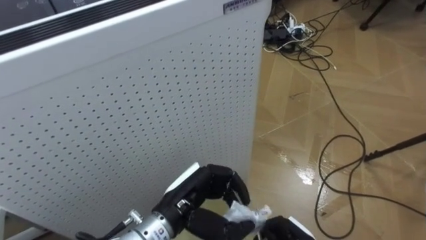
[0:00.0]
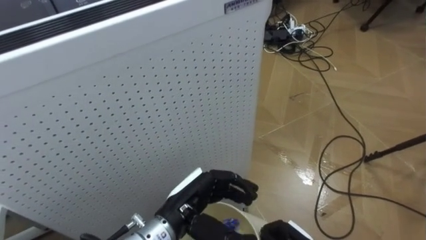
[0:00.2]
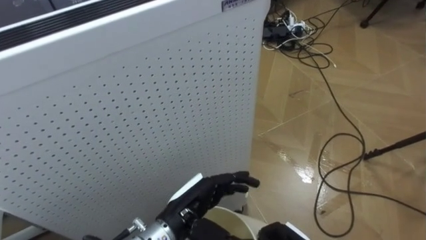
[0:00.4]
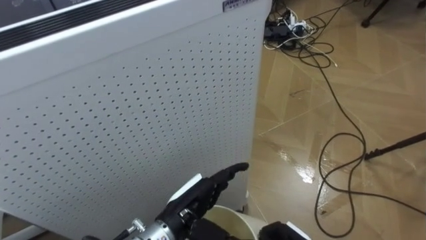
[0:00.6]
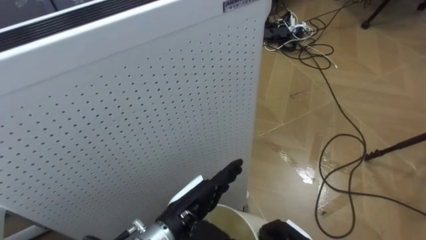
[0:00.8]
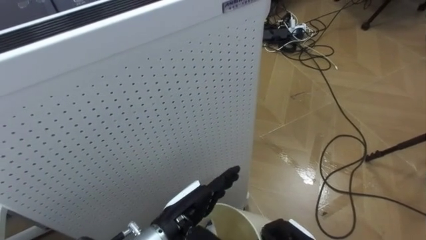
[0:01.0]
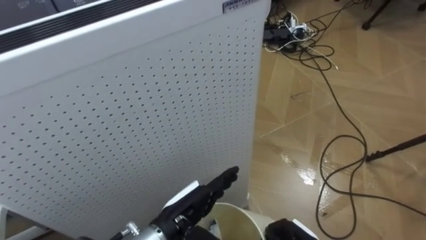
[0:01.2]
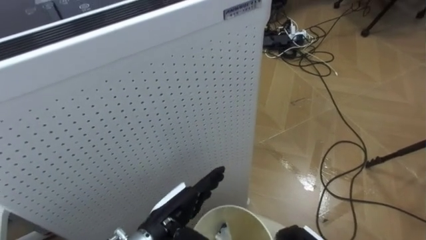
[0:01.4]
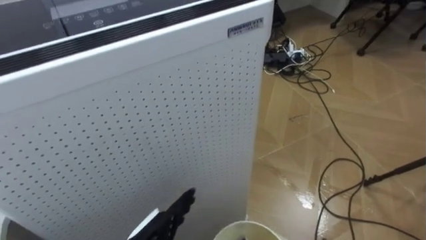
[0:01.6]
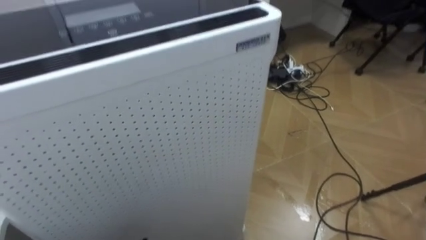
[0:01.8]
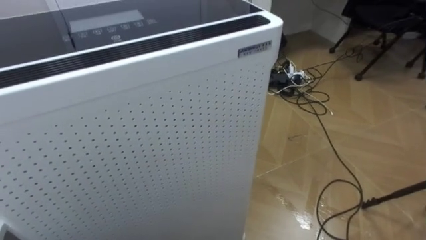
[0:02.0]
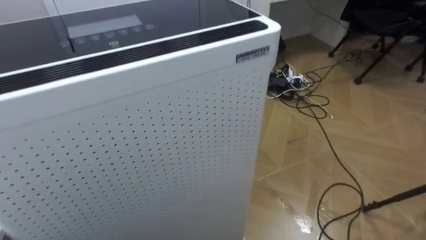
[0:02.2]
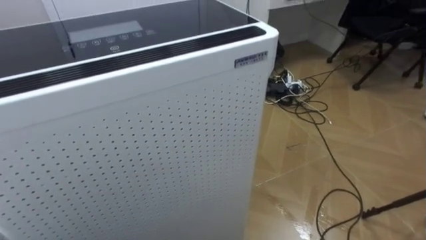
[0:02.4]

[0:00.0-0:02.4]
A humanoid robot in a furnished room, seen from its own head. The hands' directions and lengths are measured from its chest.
Task of the whole recording: Pick up the light blue package, the candy box, and the dark blue package separately, and put them into the trash can held in your right hand.
0:00.0 to 0:01.2: The left hand opens.

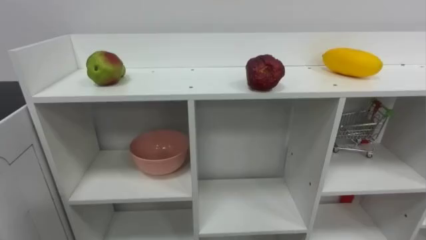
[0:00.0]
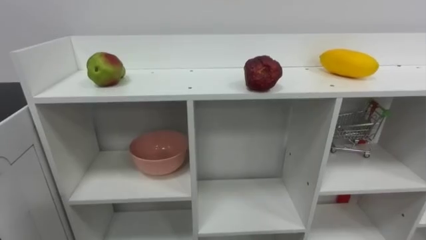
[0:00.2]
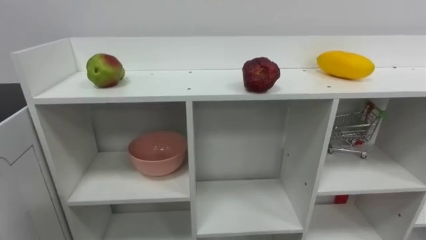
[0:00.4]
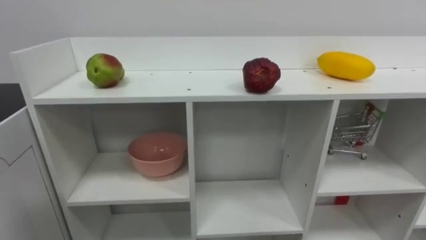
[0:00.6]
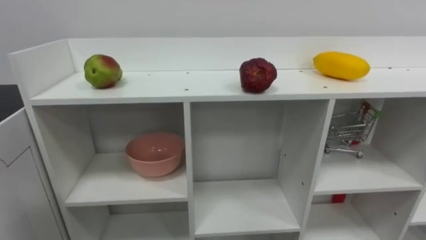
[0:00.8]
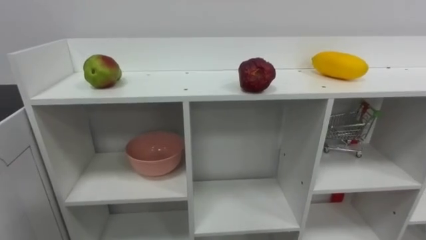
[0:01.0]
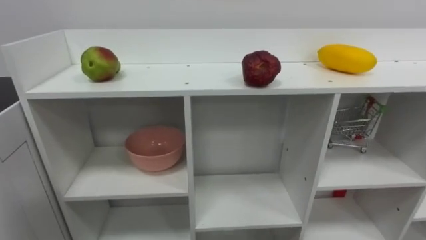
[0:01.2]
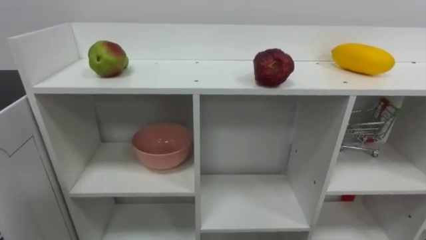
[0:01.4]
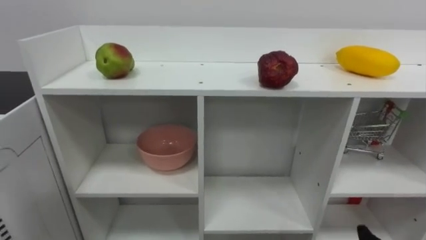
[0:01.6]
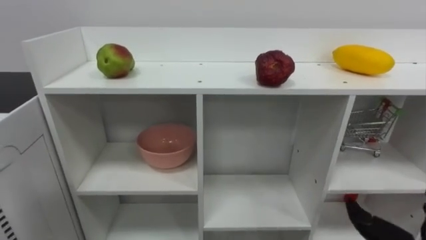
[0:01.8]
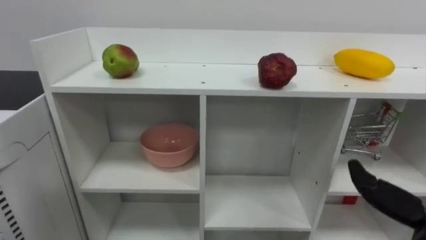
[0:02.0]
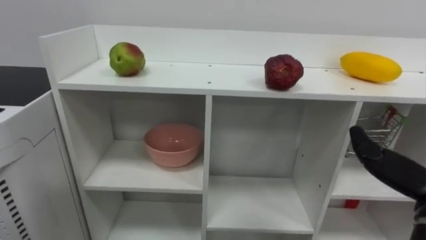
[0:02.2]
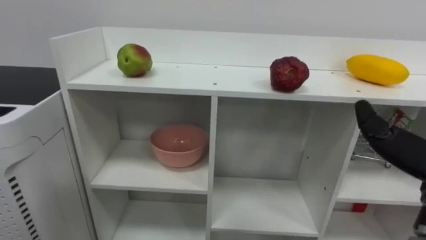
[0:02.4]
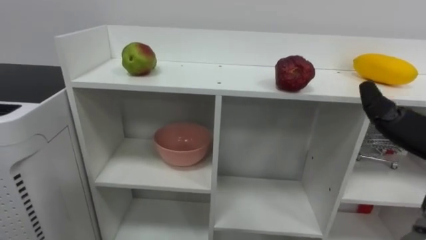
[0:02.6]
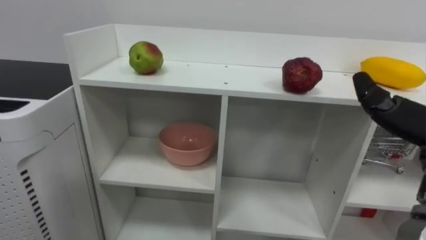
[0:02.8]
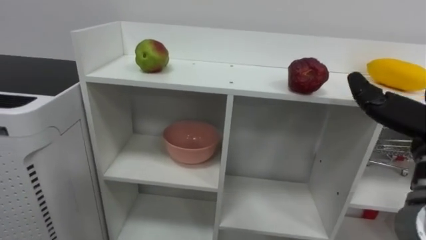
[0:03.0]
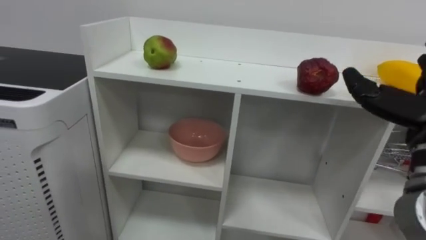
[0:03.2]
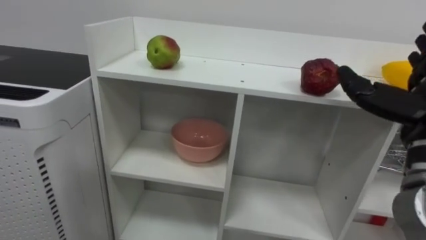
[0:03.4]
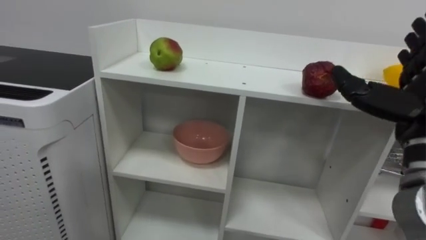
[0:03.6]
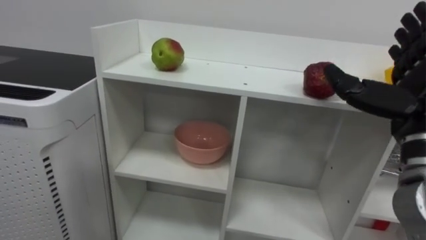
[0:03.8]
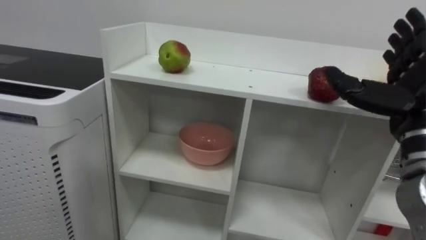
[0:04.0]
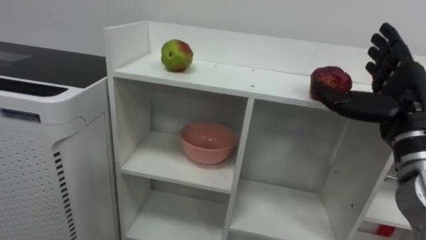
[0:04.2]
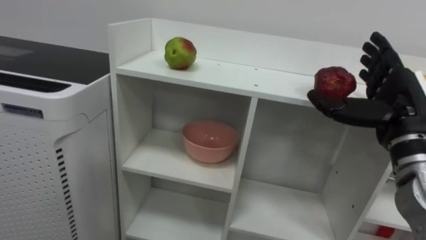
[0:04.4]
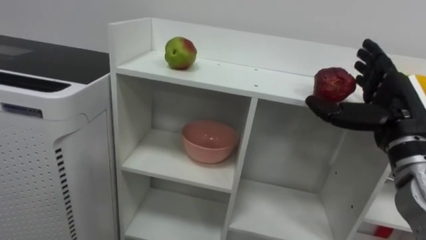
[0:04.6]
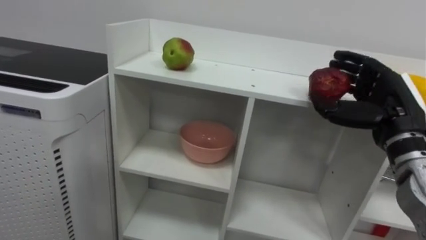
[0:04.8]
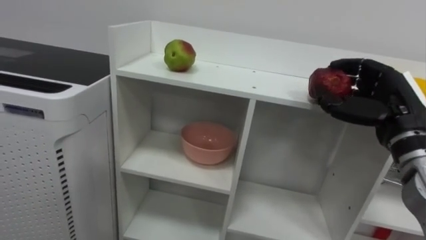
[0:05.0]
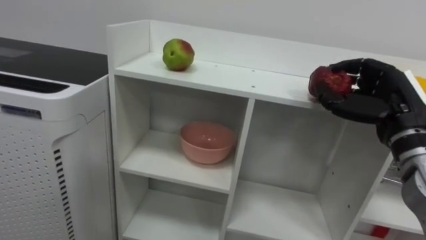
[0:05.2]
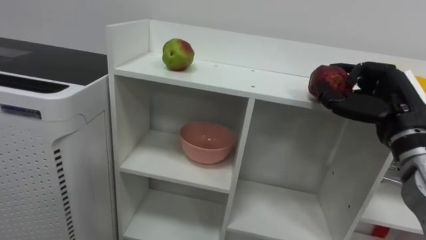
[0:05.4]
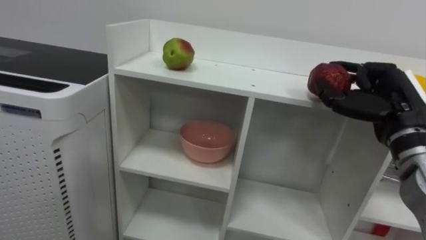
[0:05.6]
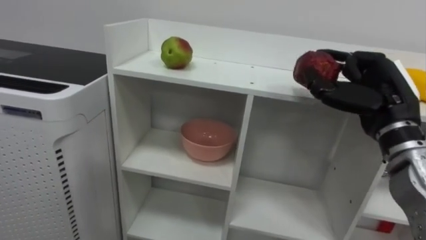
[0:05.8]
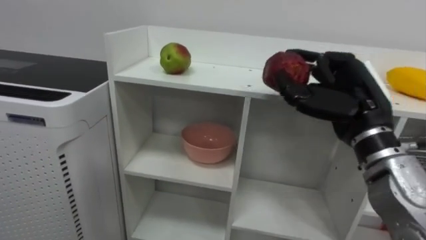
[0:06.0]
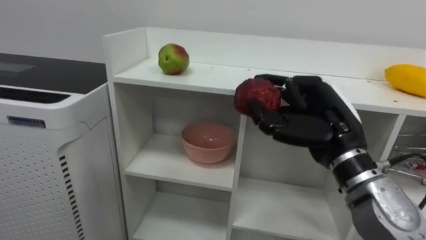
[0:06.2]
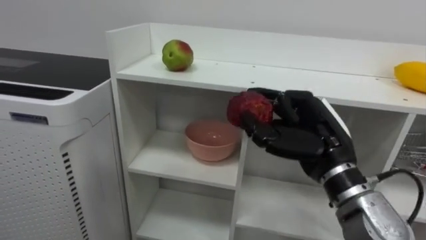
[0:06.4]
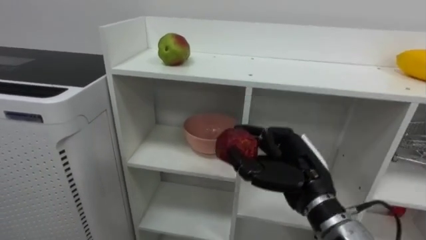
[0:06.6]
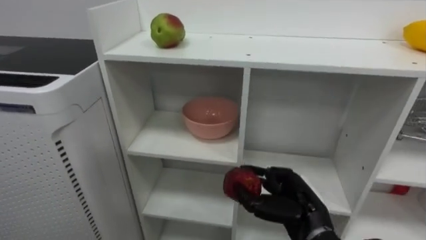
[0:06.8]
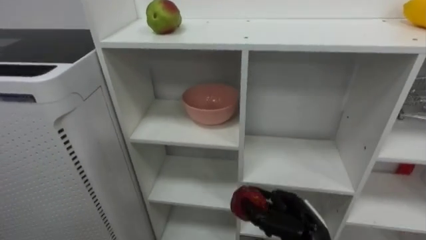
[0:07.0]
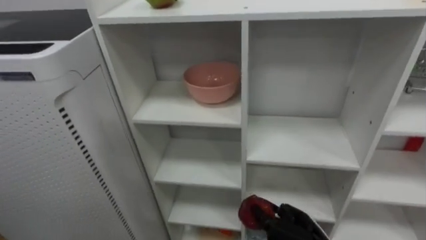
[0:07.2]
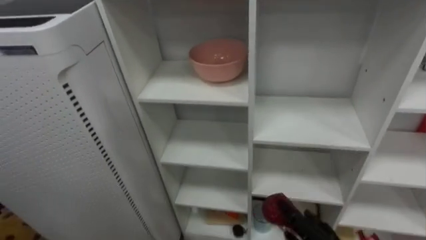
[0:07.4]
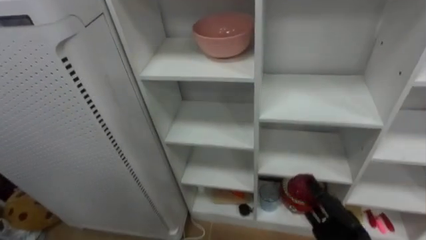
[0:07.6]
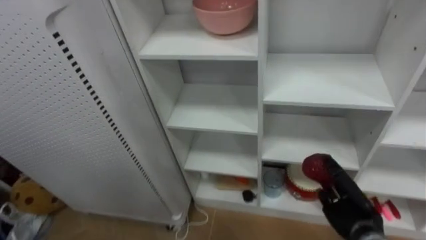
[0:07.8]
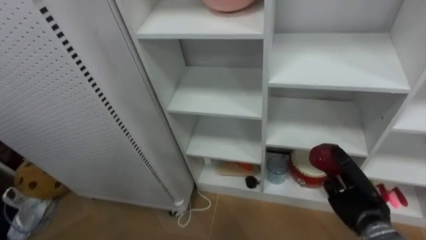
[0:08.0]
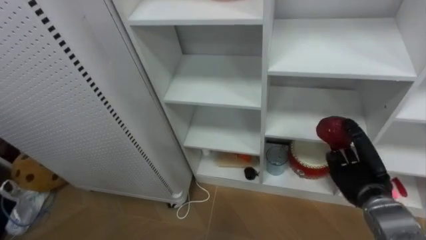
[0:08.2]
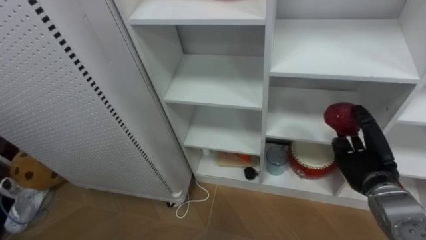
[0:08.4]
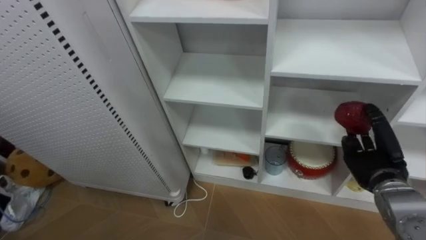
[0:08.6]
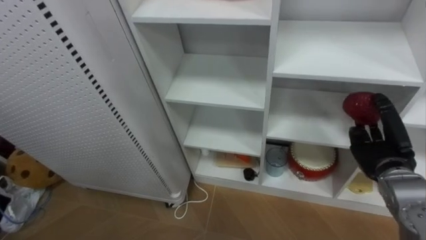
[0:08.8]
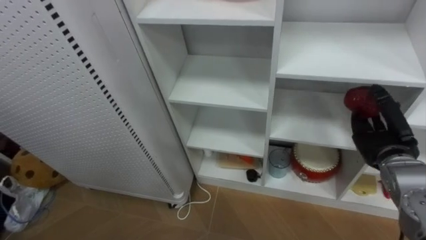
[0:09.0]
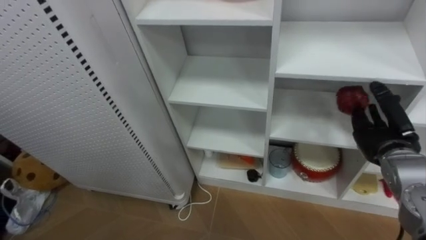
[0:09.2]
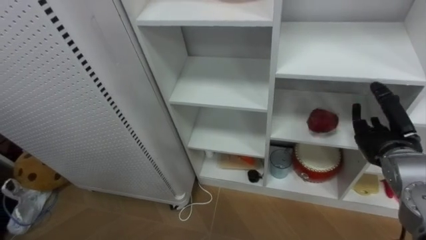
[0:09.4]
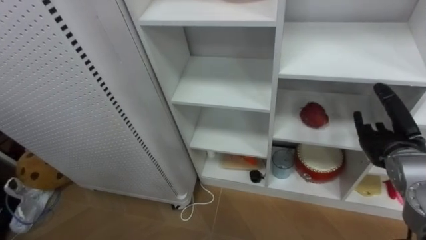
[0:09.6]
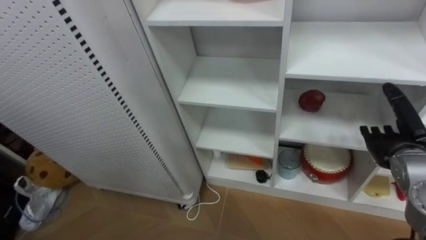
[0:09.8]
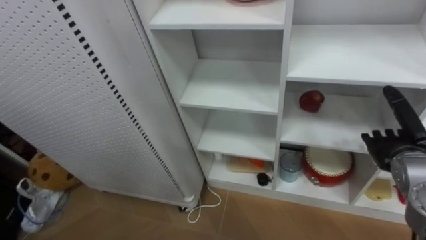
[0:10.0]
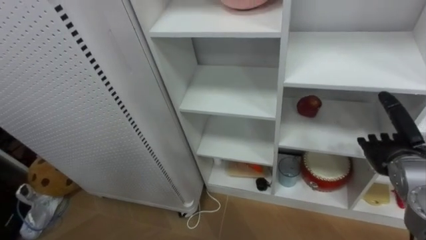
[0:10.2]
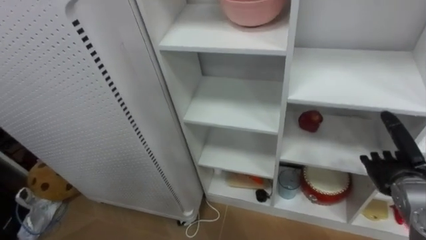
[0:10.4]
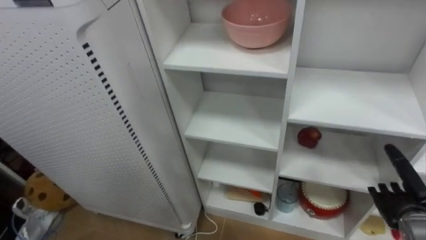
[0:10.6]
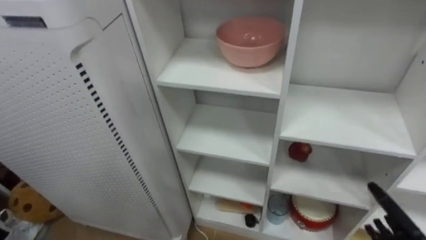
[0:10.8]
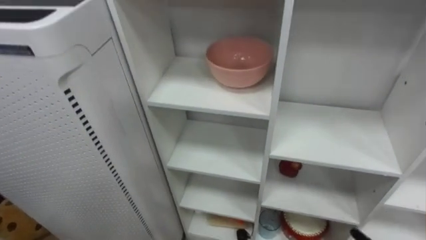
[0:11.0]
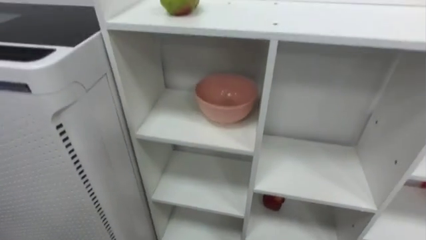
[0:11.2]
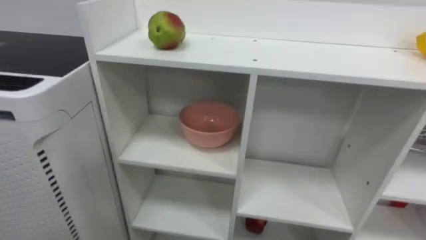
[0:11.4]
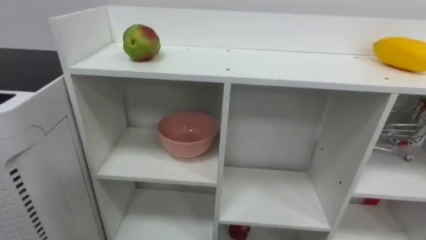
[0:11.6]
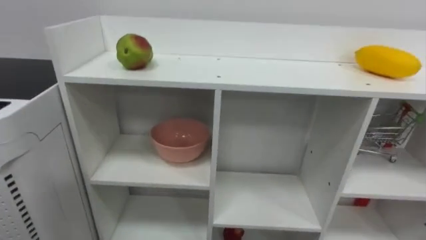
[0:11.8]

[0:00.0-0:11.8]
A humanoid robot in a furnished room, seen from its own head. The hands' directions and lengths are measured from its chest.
Task of the whole recording: Put the apple in the cell in the second column from the left and the second row from the top.
0:04.4 to 0:06.0: The right hand goes approximately 5 cm to the left, and closes.
0:08.8 to 0:10.4: The right hand opens up.

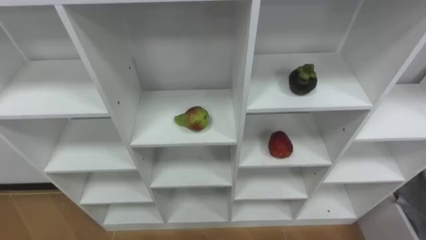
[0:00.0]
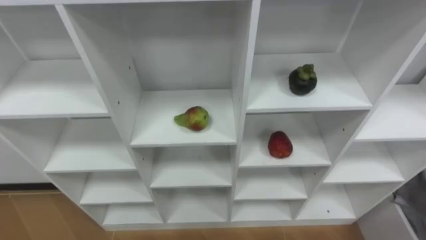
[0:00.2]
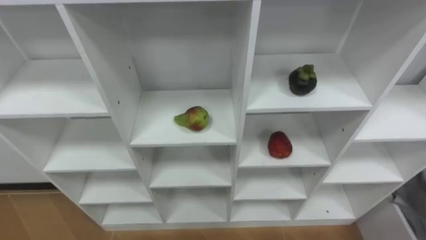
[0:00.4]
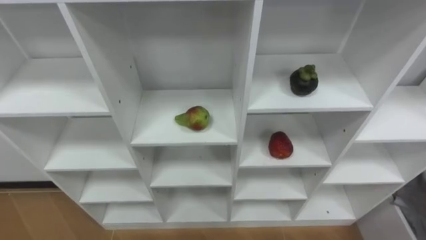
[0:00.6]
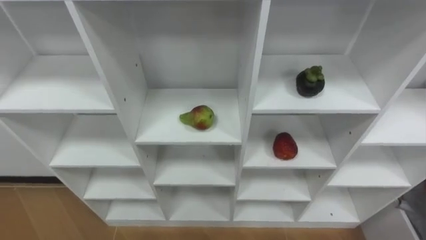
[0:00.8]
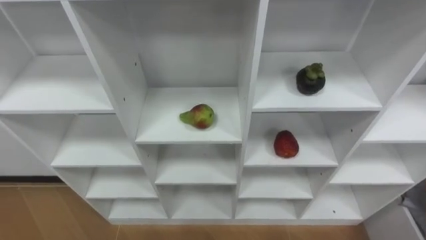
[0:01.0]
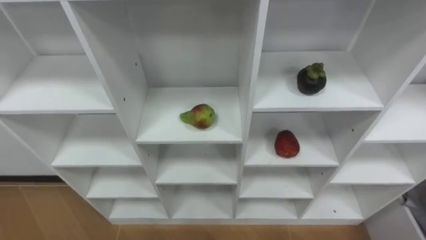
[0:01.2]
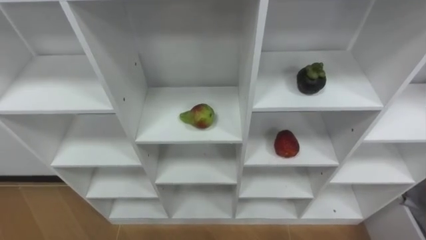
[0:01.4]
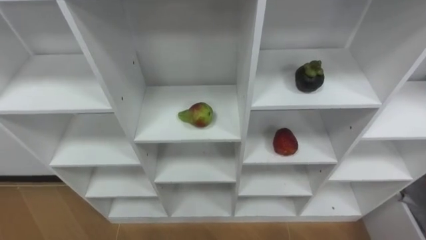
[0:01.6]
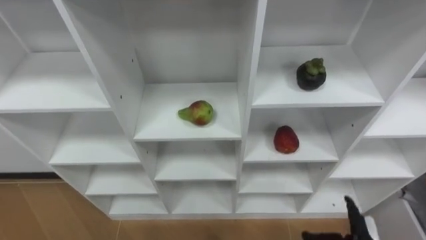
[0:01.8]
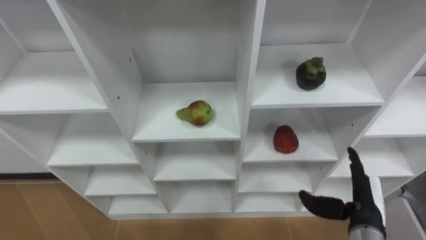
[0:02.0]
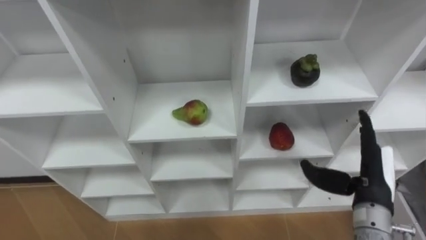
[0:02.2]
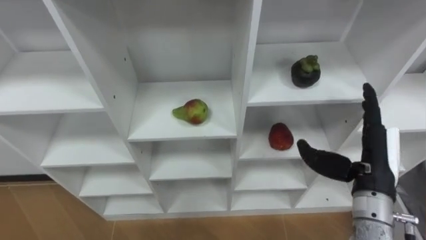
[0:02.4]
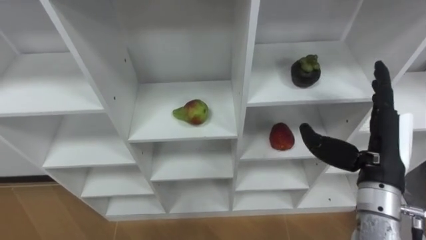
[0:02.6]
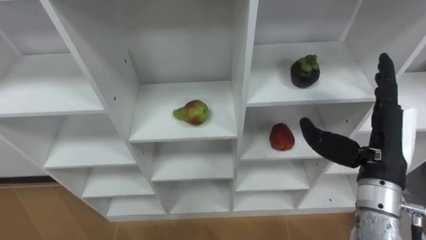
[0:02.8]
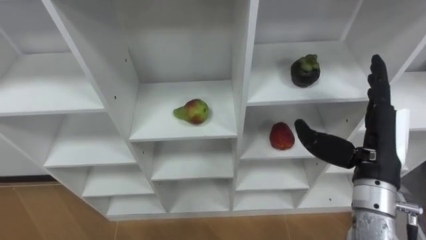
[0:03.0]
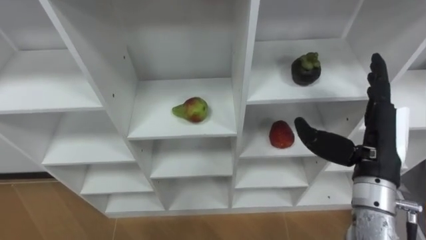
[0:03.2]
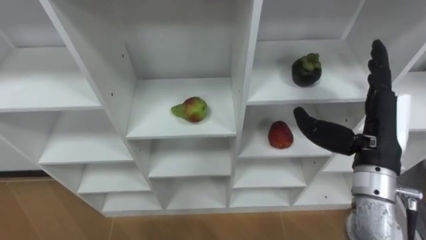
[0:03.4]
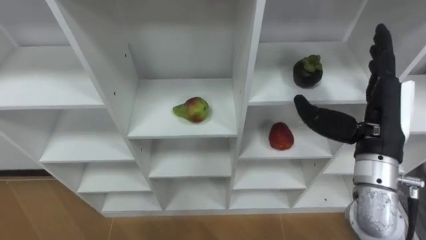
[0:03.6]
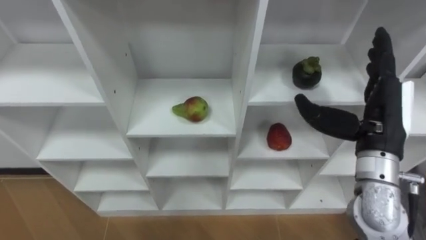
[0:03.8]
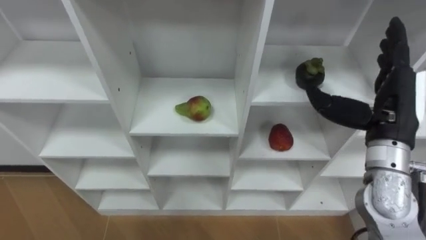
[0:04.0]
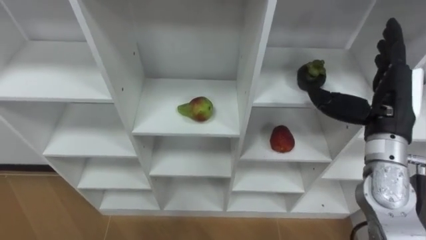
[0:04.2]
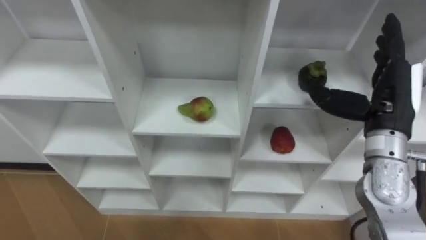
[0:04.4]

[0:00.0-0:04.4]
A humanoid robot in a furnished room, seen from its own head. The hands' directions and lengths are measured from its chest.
Task of the whole recording: Hold the basket and collect the fruits from 3 different cells of the closet into it.
0:03.0 to 0:04.4: The right hand travels forward by roughly 5 cm.
